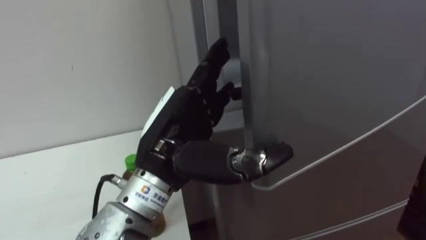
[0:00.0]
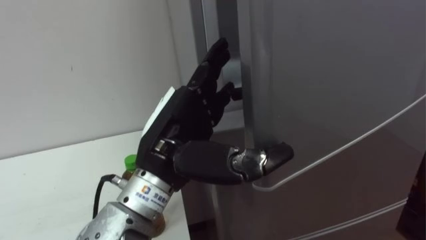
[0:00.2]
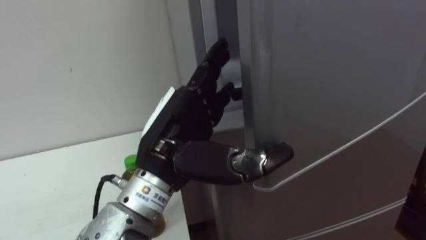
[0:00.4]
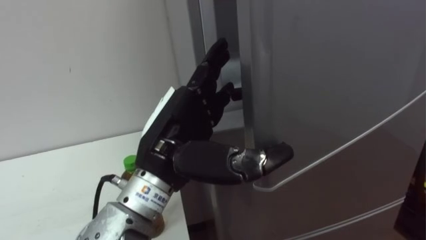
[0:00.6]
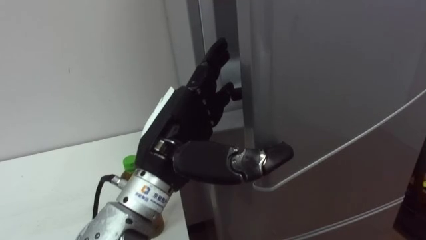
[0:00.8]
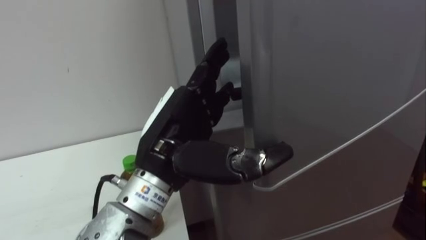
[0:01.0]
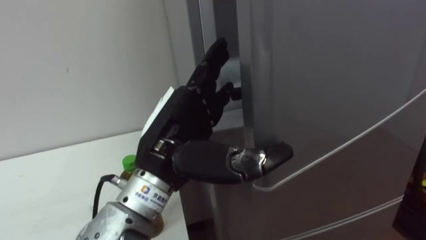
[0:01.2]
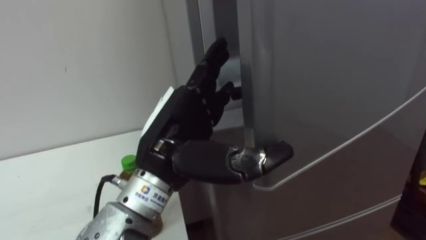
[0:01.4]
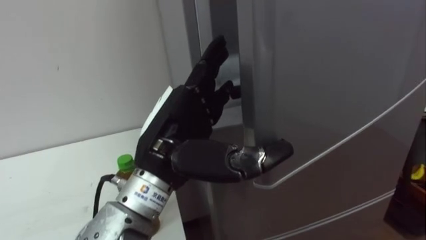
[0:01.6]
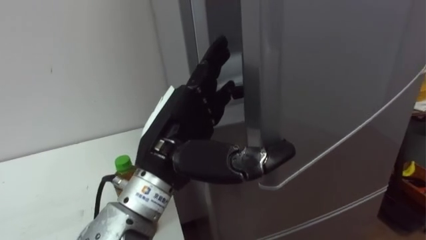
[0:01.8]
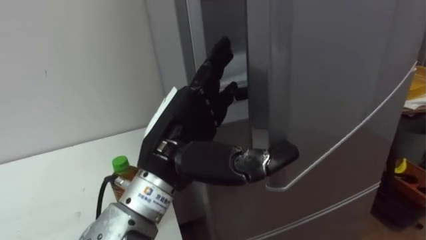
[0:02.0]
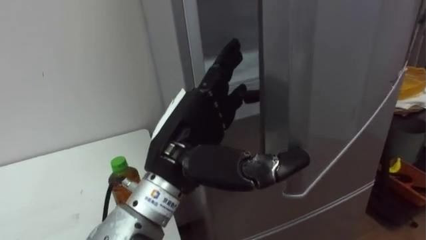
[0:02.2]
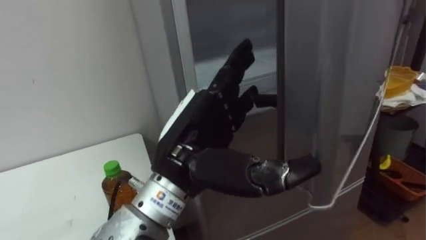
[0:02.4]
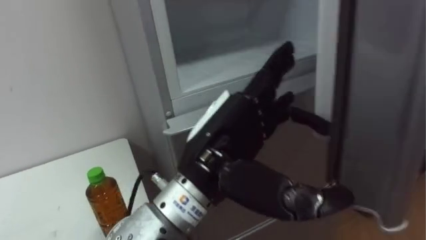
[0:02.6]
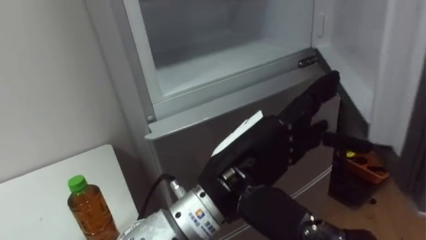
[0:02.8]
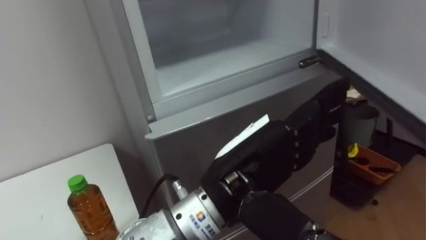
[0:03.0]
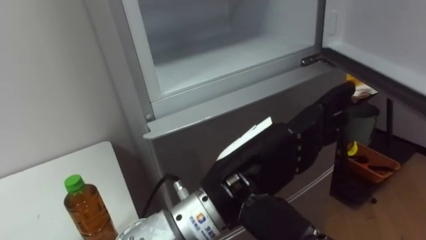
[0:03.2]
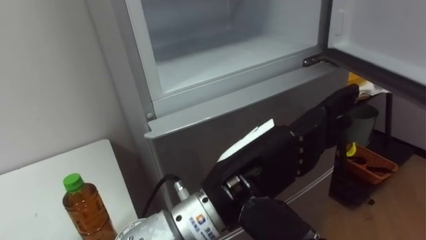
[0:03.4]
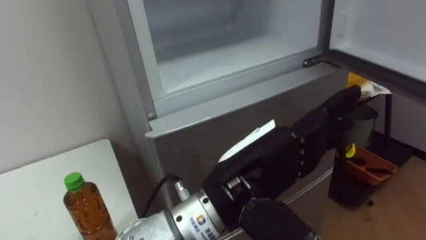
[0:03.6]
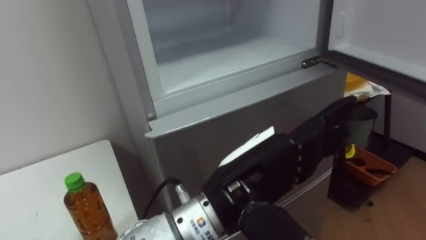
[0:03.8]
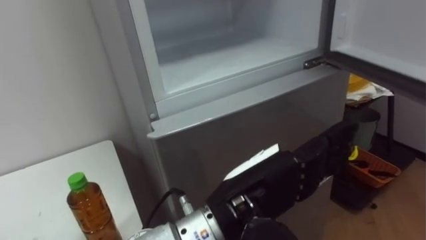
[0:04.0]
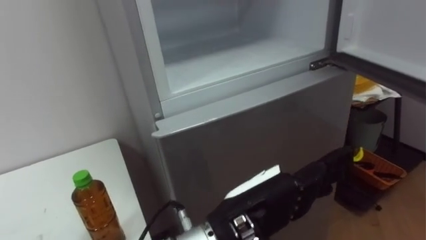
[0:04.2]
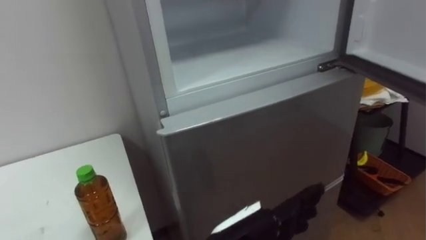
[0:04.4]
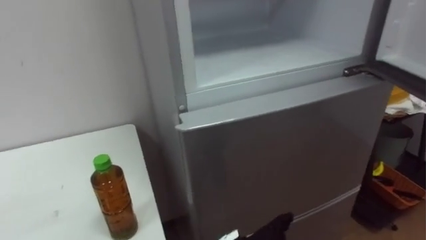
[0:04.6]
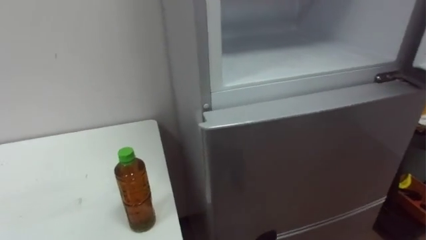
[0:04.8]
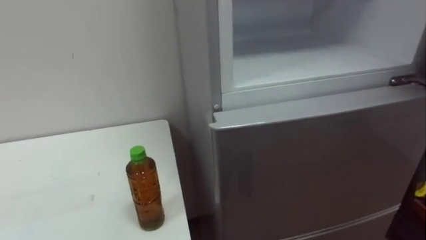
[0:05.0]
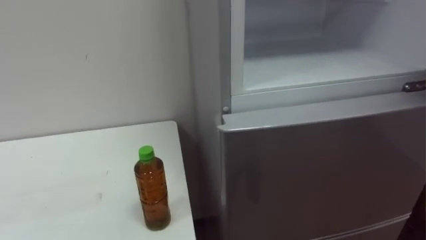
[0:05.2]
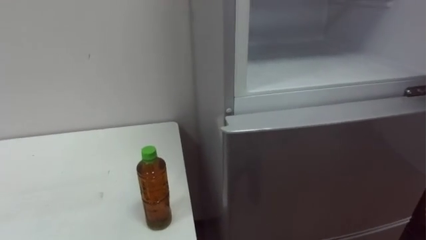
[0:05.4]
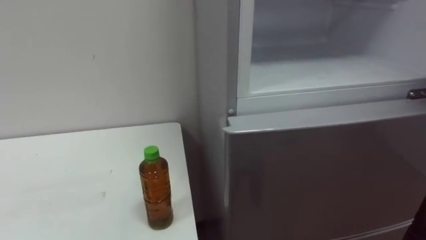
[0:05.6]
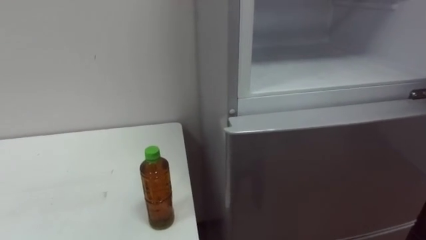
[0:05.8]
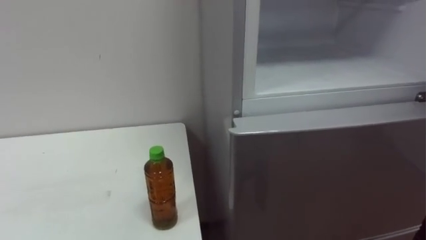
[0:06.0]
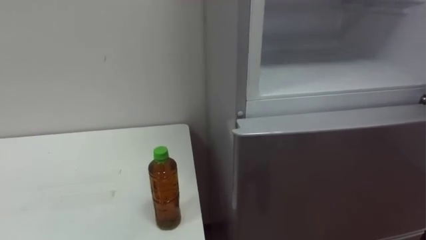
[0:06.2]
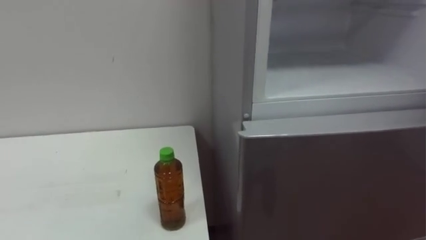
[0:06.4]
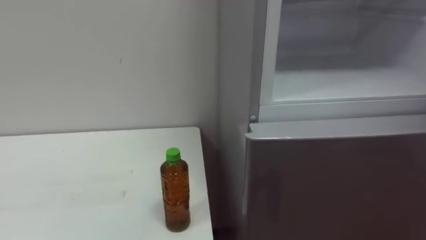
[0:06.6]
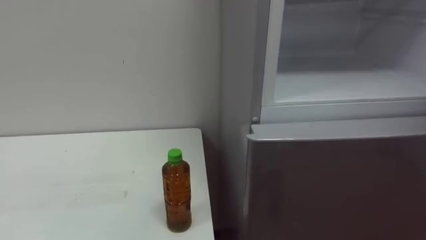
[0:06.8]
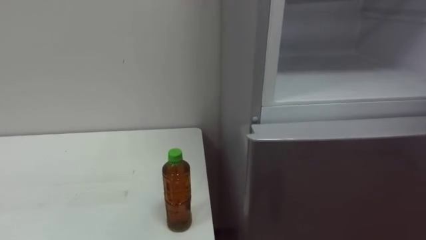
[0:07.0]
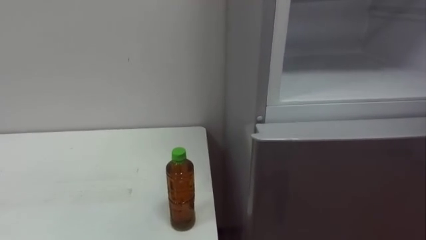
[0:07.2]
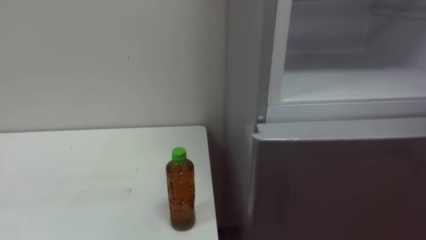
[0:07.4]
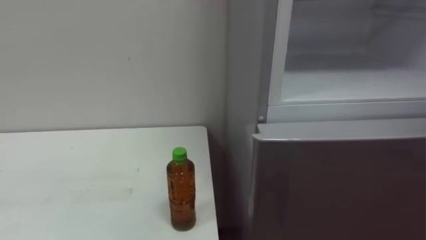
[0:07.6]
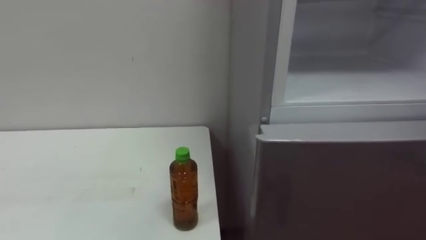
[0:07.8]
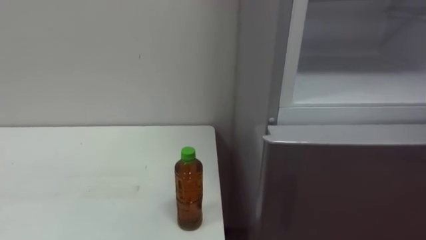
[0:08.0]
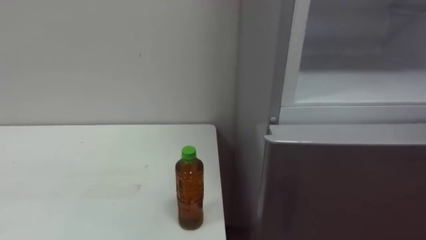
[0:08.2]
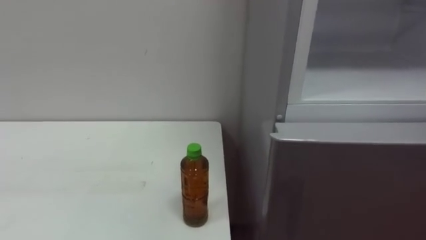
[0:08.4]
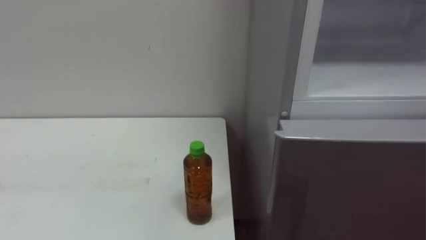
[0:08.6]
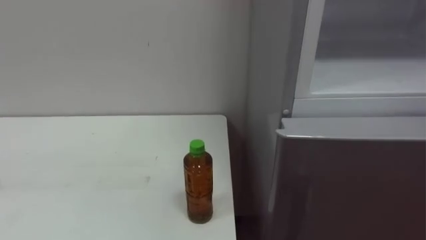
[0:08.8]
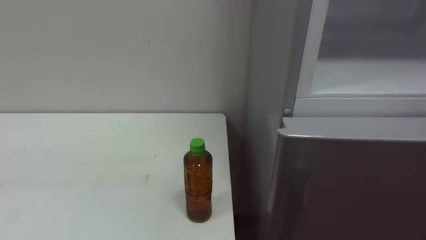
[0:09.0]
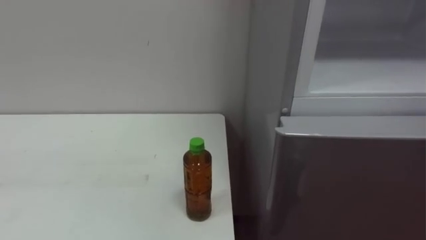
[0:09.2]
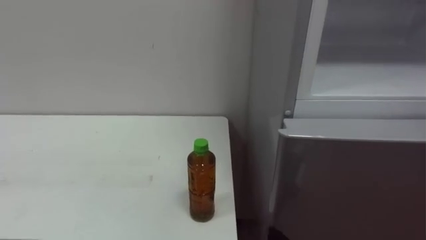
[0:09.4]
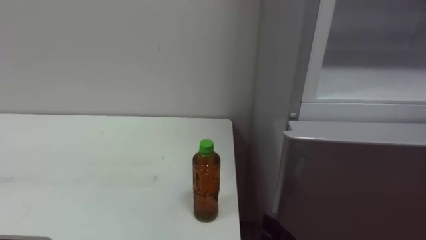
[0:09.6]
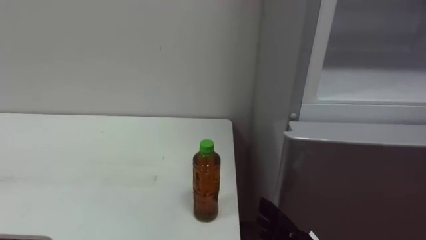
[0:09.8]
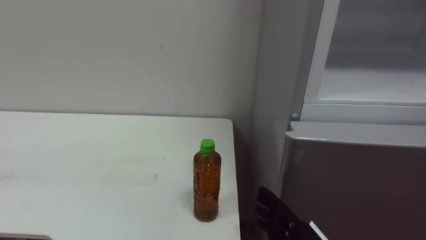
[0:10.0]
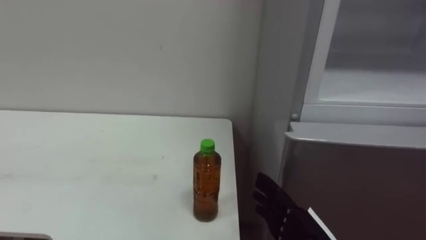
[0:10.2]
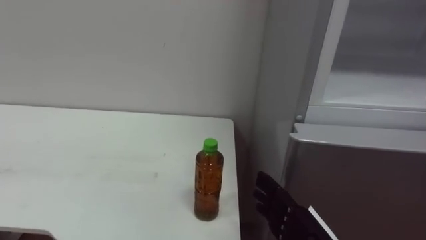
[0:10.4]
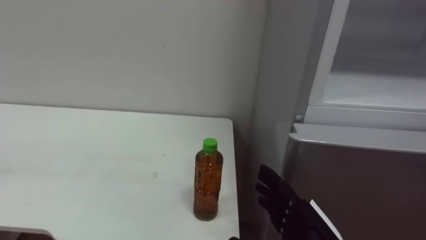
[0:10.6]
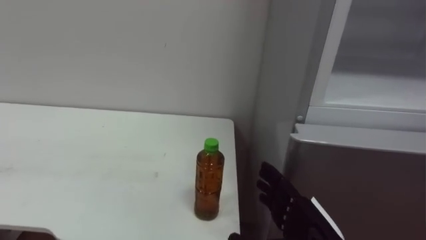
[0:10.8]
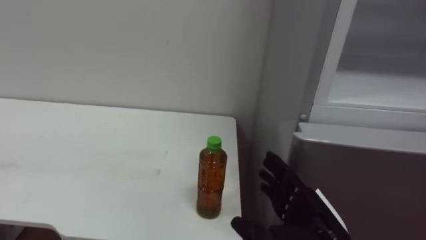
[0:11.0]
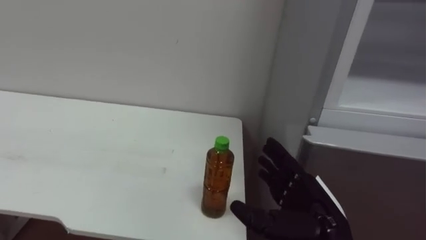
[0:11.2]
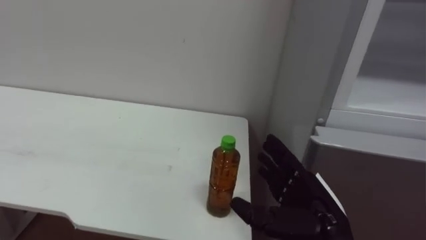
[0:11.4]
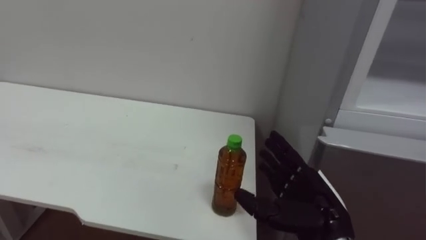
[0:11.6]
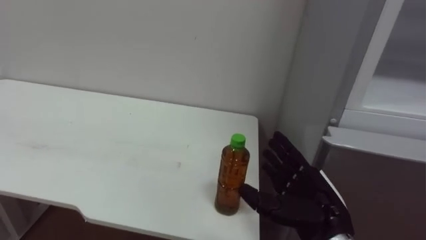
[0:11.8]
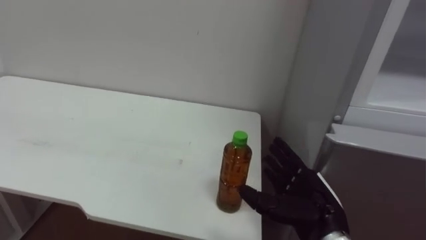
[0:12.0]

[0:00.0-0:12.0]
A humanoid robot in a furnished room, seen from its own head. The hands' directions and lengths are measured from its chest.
Task of the whole recording: Open the upper refrigerator door, put the drink from the table into the refrigerator, and then close the refrigerator door.
0:01.6 to 0:03.0: The left hand is displaced to the right by about 10 cm.
0:03.0 to 0:04.4: The left hand moves downward, approximately 10 cm.
0:10.4 to 0:12.0: The right hand heads forward, covering some 5 cm.

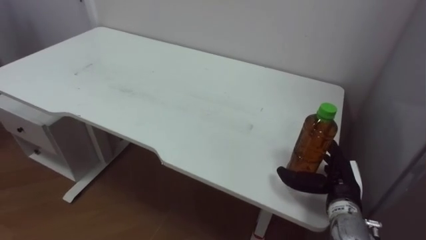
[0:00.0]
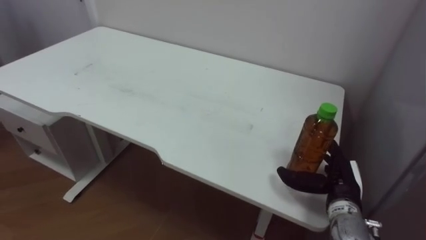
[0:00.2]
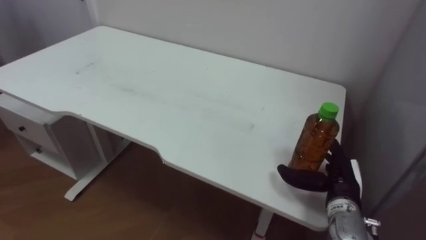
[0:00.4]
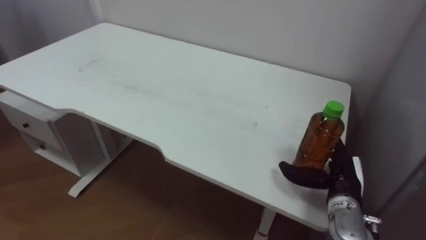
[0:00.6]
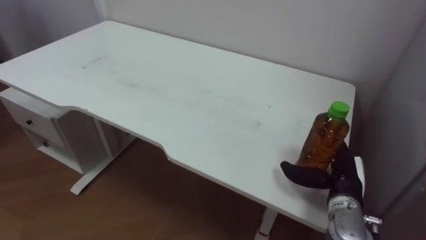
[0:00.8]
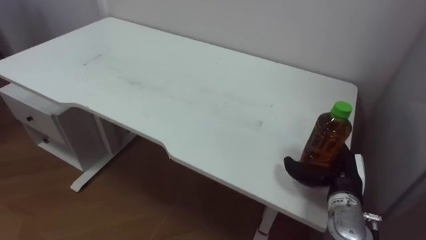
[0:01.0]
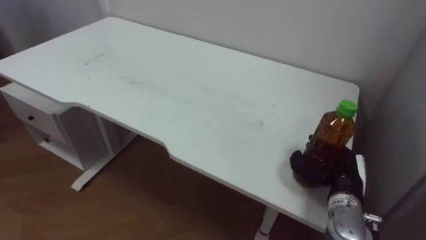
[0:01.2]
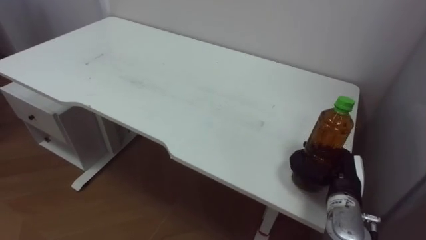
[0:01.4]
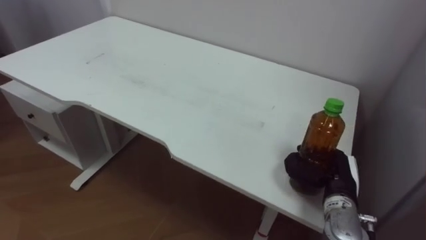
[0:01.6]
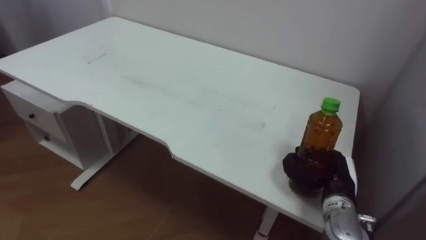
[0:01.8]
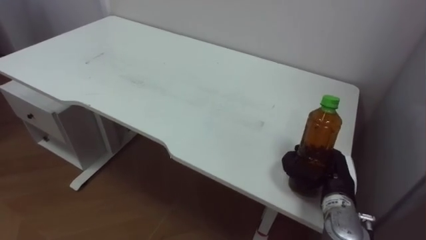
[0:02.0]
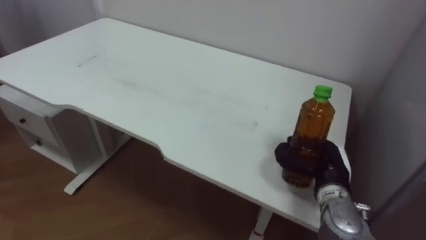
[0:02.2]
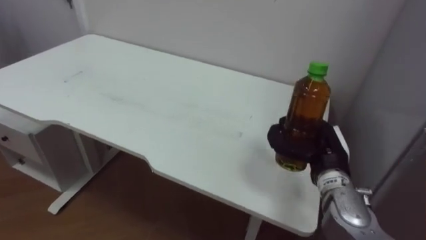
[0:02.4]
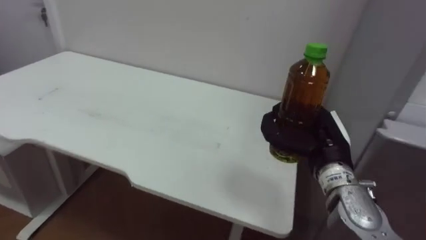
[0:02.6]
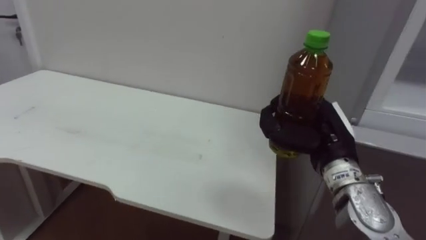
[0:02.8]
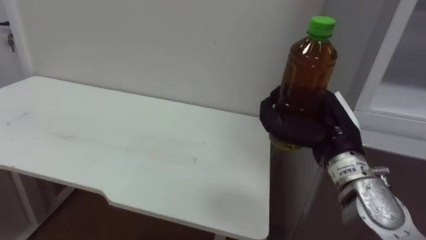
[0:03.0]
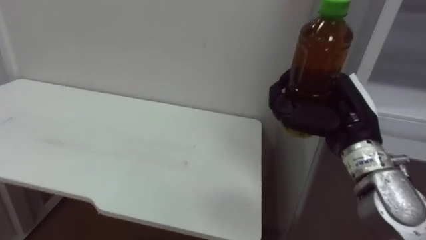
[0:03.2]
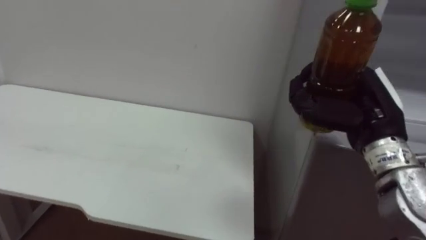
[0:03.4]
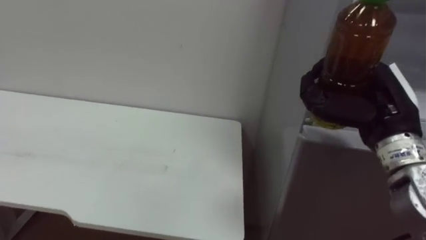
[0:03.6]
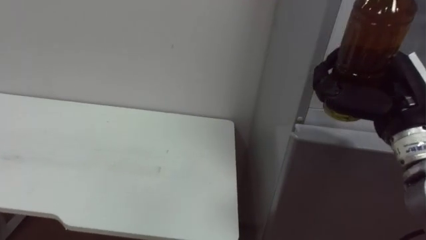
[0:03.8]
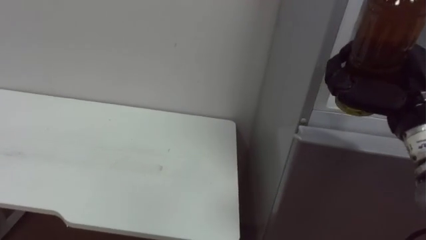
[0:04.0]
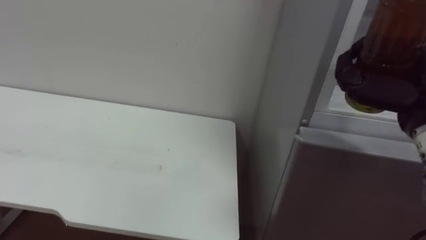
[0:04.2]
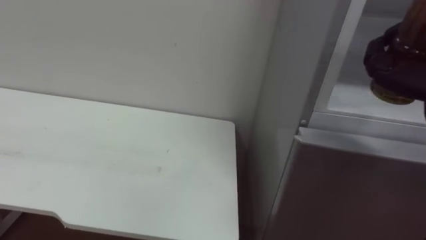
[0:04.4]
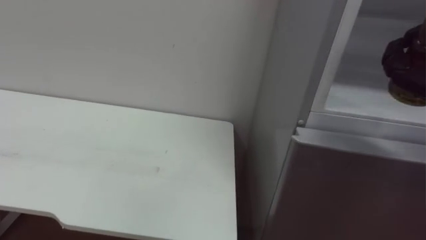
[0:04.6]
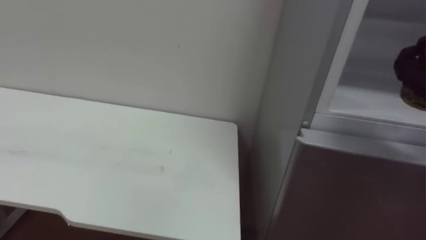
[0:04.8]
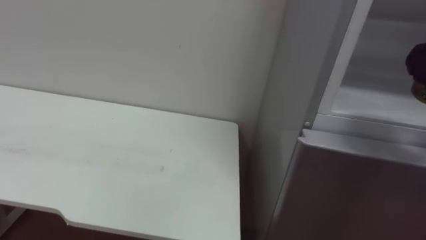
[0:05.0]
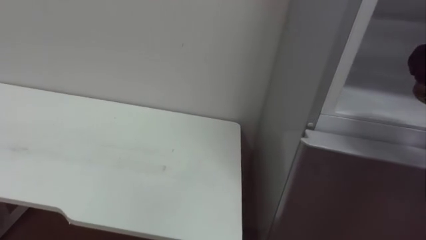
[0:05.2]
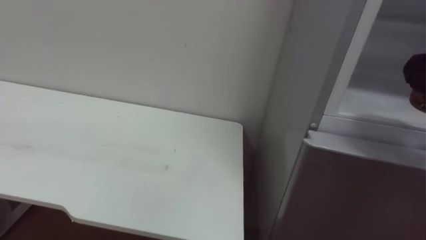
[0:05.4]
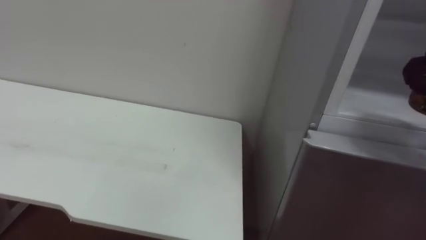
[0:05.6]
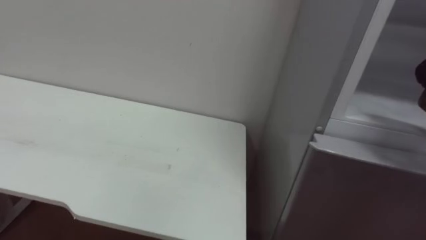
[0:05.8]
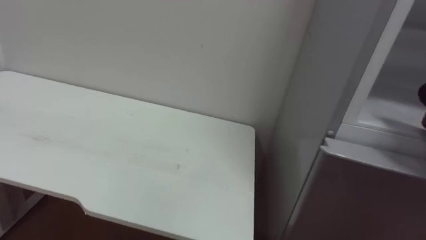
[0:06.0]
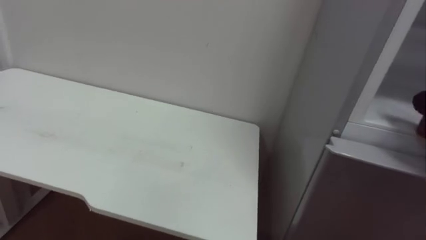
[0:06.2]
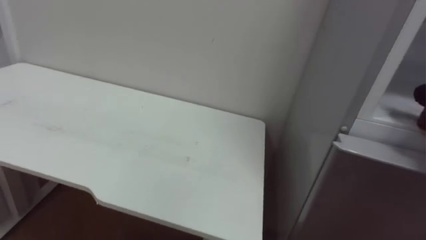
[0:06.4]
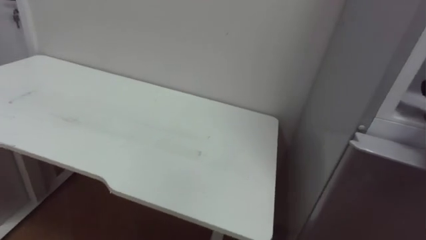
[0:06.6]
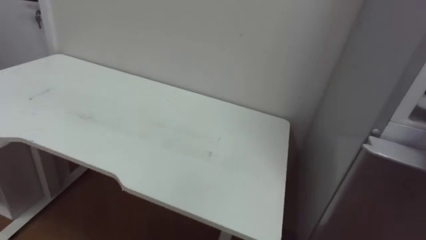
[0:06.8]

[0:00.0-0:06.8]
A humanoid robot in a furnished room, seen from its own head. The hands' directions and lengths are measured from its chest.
Task of the whole recording: Open the upper refrigerator door, put the drink from the table into the refrigerator, and then close the refrigerator door.
0:00.0 to 0:01.4: The right hand closes its fingers.
0:01.4 to 0:02.8: The right hand goes approximately 10 cm upward and to the left.
0:02.8 to 0:04.0: The right hand heads upward and to the right, covering some 10 cm.
